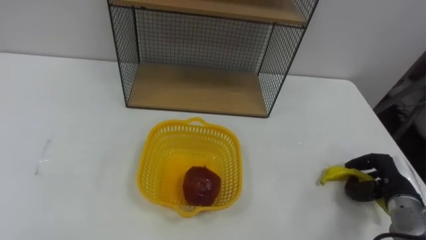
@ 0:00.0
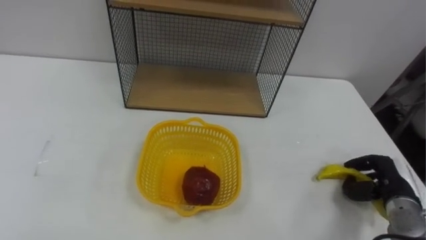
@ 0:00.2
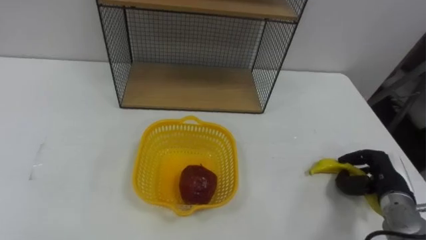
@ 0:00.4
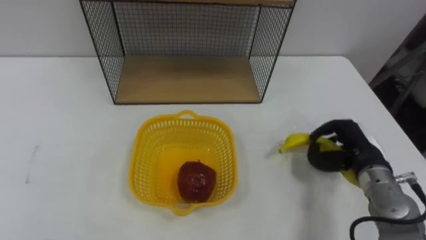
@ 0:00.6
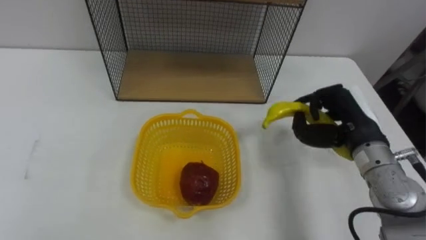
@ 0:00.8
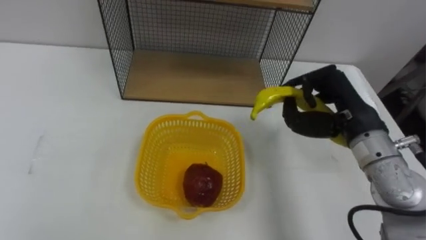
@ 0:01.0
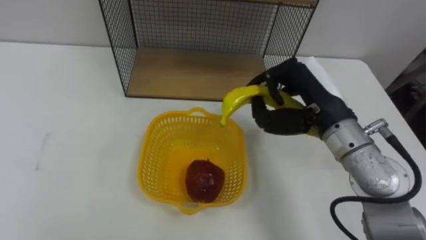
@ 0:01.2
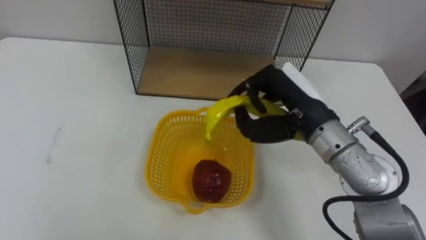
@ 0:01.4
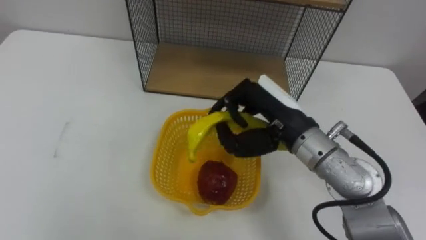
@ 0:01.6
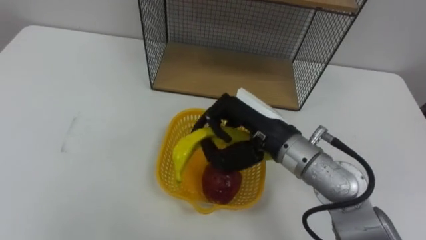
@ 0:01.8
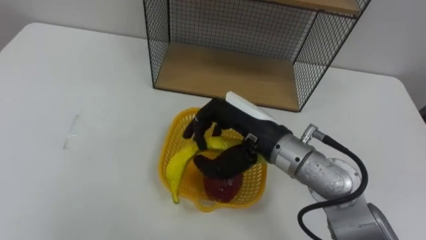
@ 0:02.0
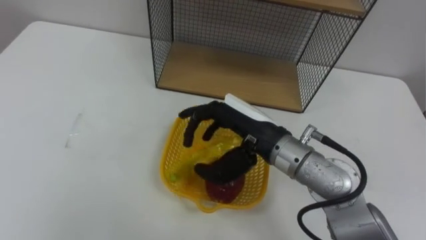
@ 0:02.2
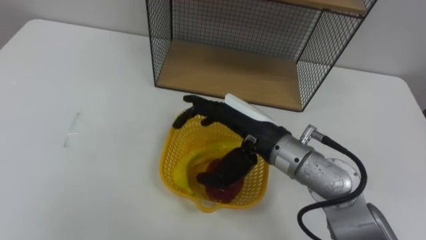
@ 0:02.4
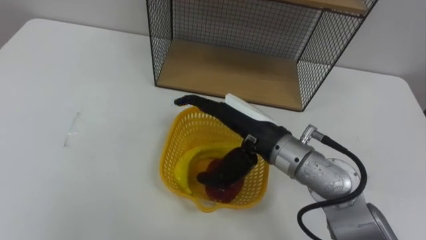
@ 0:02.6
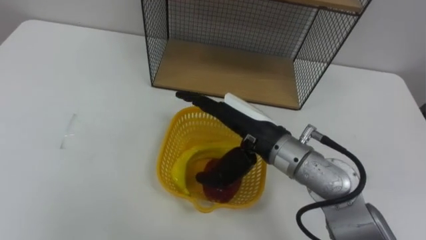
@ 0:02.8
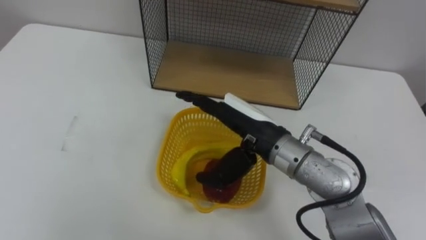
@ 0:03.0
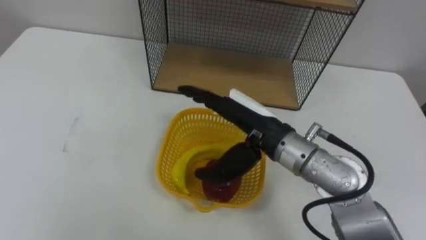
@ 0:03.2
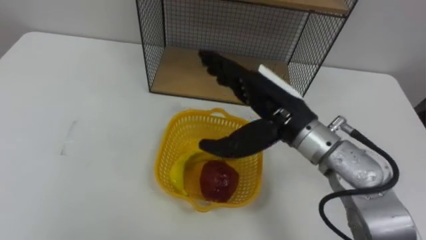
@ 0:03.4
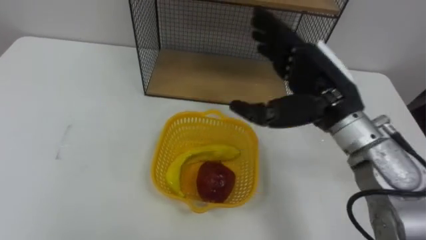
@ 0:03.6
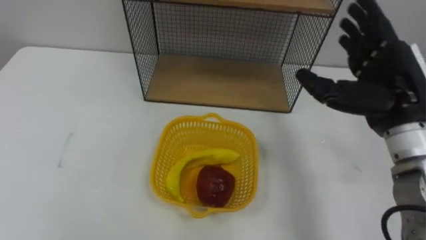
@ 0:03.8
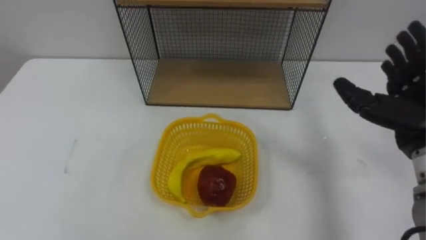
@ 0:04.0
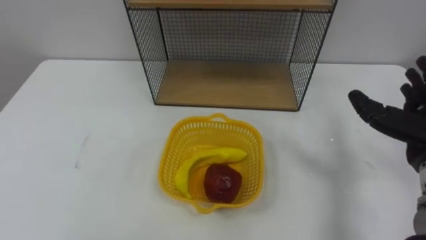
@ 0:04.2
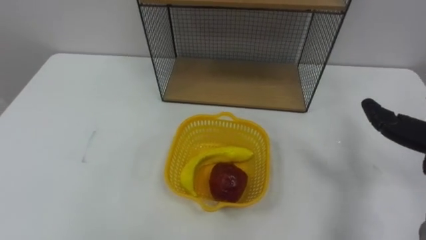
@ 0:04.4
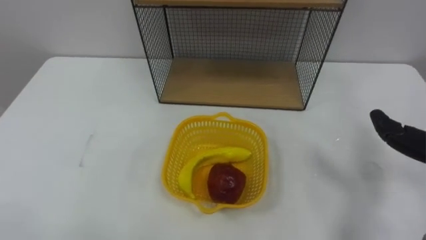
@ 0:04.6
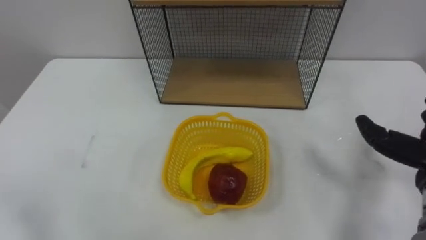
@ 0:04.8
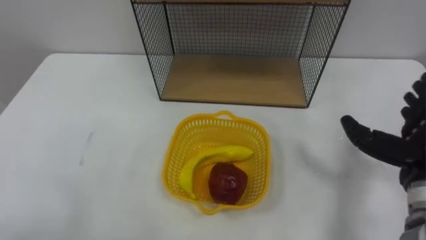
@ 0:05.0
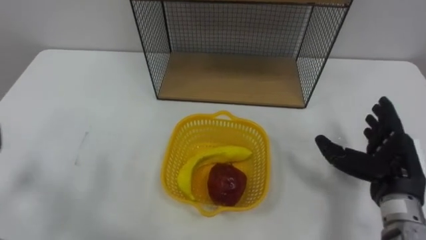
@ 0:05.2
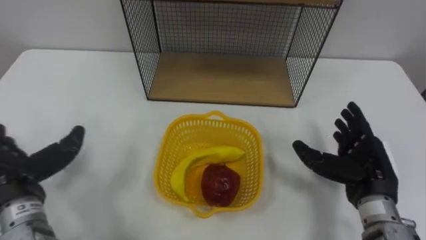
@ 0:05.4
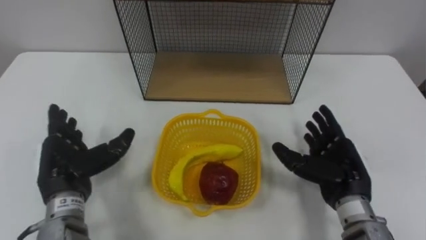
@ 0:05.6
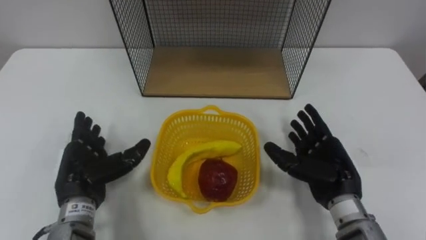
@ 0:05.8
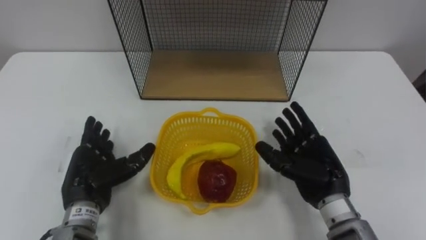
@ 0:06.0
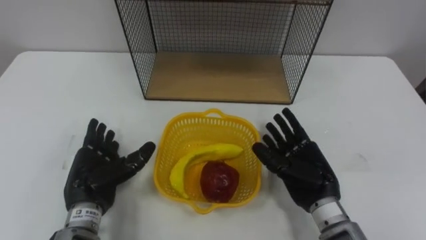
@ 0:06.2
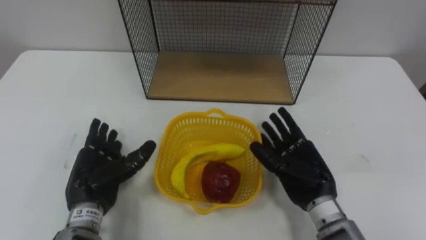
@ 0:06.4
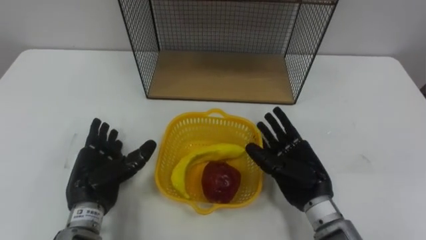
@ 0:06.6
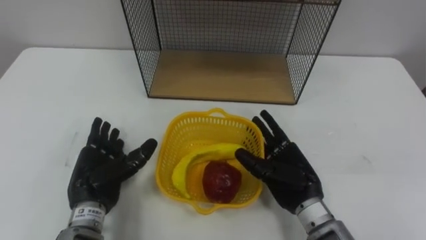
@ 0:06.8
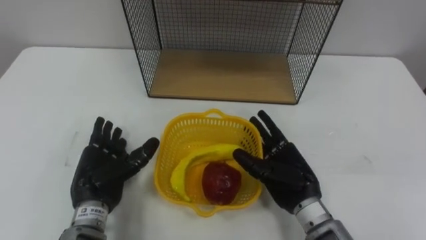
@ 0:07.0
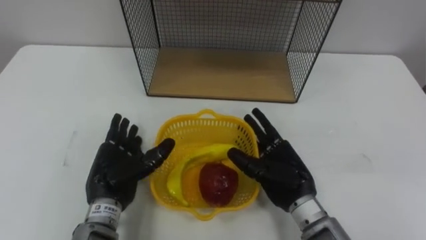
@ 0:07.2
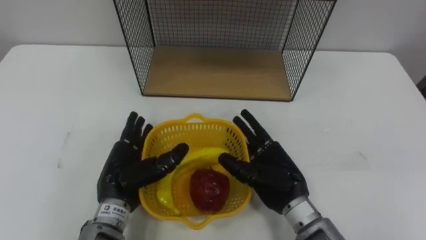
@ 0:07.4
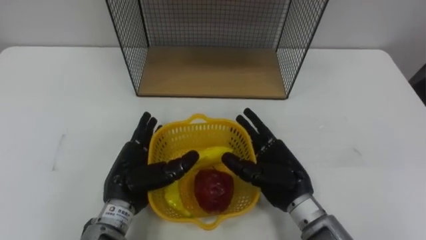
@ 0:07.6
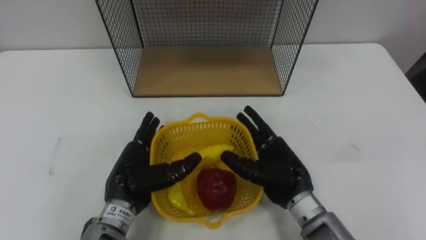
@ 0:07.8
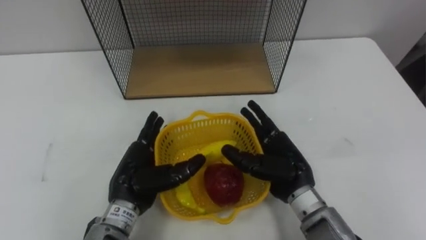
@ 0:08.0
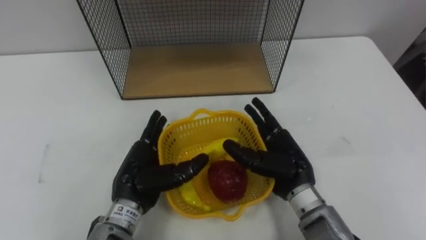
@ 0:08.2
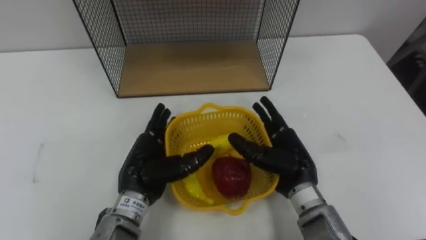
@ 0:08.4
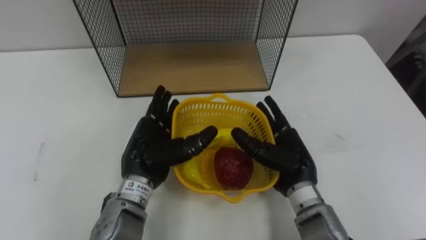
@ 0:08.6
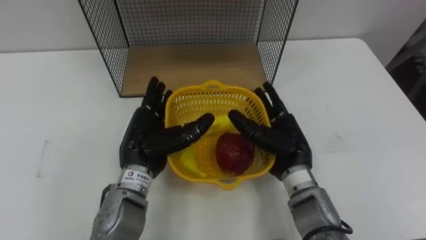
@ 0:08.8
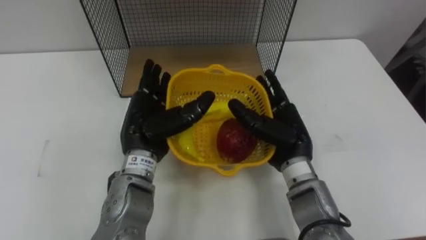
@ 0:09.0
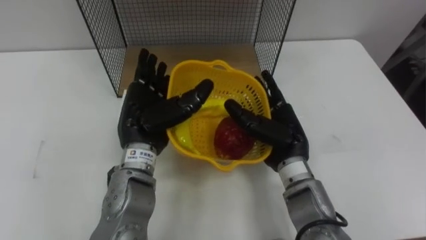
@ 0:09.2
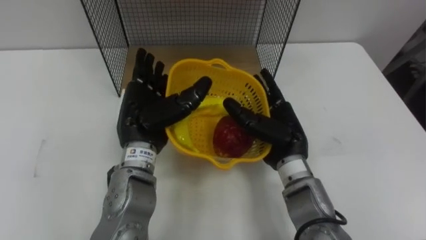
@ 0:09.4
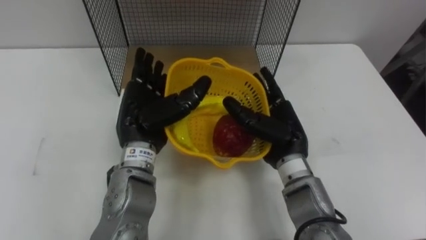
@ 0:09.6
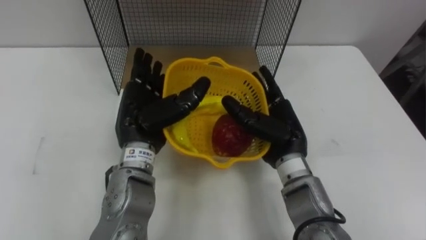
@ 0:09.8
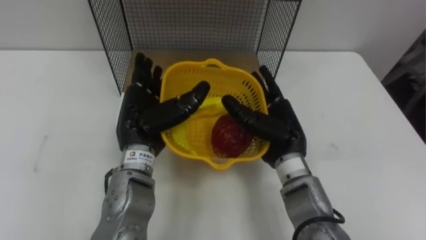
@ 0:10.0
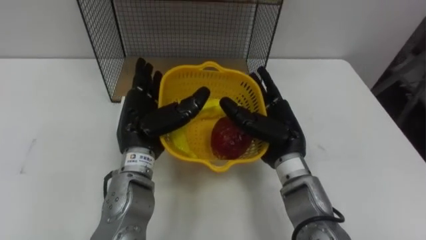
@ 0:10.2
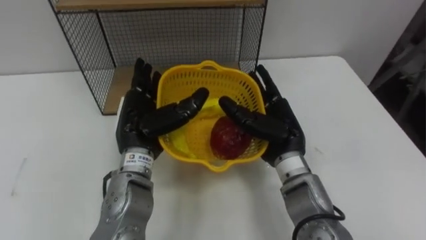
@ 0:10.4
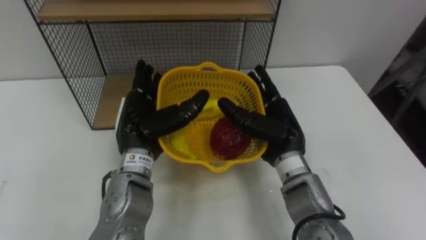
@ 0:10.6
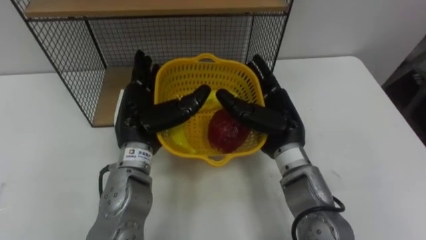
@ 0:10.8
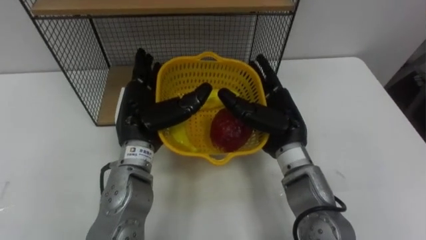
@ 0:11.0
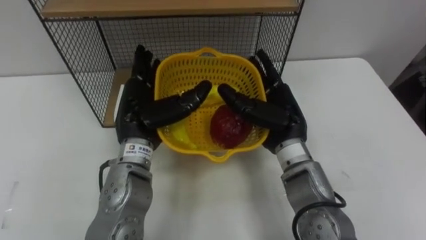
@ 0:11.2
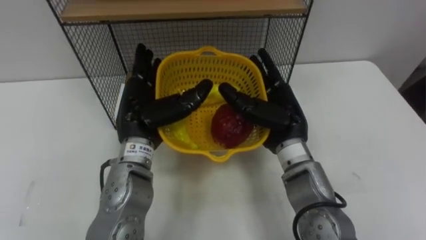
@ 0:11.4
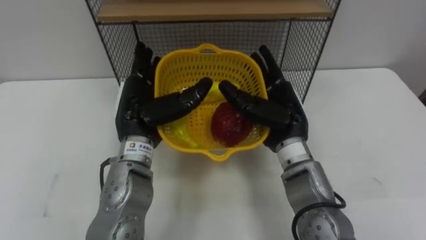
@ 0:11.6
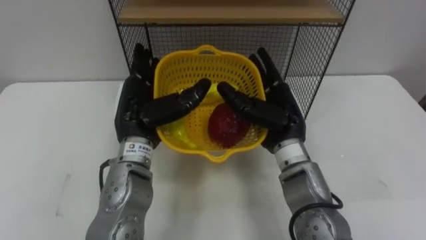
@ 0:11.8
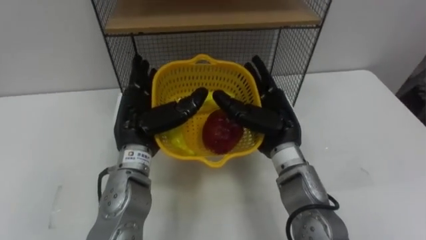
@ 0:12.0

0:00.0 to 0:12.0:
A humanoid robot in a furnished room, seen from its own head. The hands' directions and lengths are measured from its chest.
Task of the whole recording: Put the fruit on the table into the basket, then place the basket on the shelf.
0:00.0 to 0:01.6: The right hand moves to the left and upward, approximately 30 cm.
0:01.6 to 0:03.0: The right hand moves to the left, roughly 5 cm, and opens.
0:06.0 to 0:07.6: The right hand goes about 10 cm to the left. Meanwhile the left hand travels to the right by approximately 10 cm.
0:07.6 to 0:09.0: The left hand goes approximately 10 cm upward and forward. The right hand heads forward, covering about 5 cm.

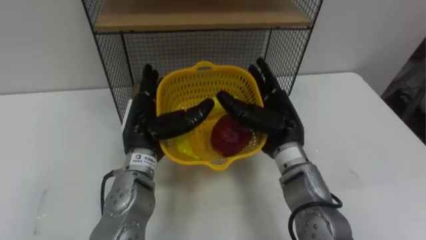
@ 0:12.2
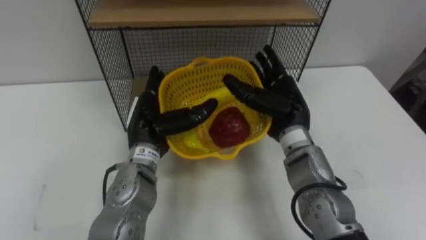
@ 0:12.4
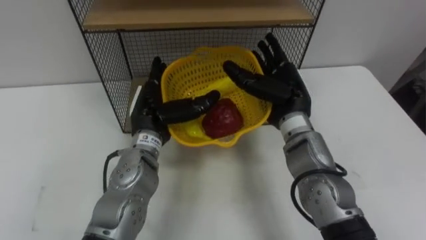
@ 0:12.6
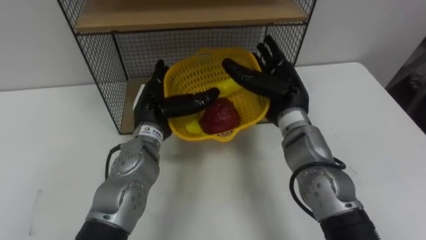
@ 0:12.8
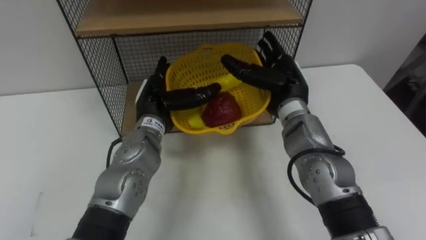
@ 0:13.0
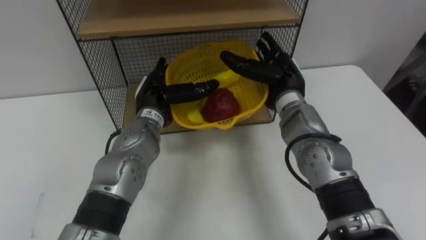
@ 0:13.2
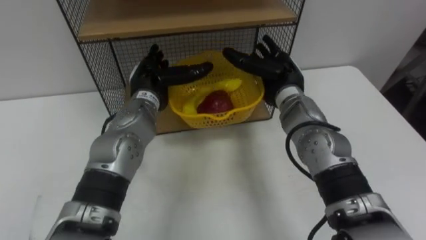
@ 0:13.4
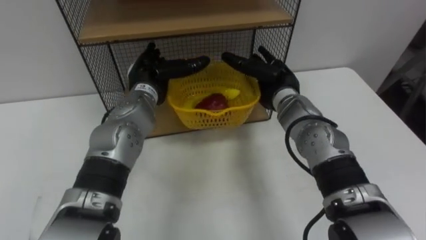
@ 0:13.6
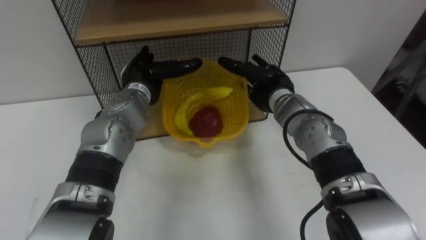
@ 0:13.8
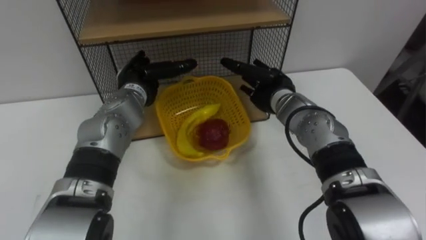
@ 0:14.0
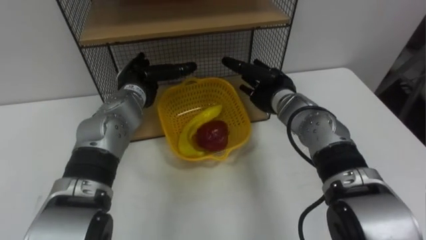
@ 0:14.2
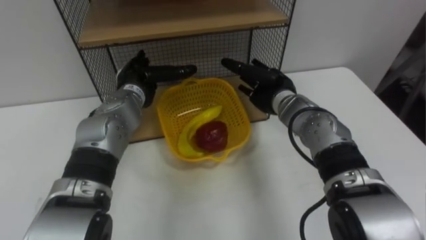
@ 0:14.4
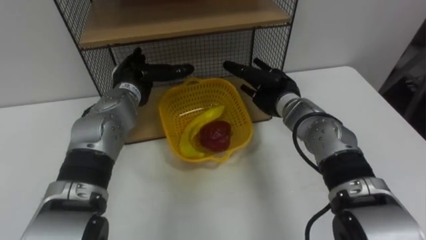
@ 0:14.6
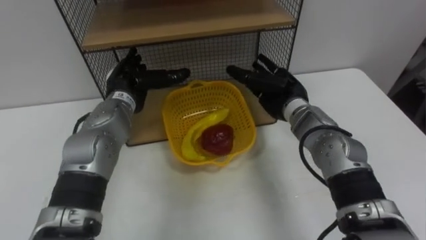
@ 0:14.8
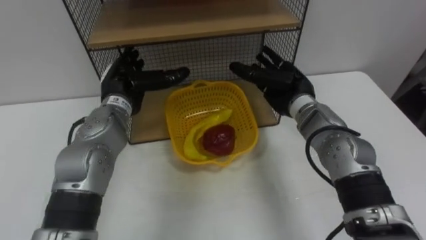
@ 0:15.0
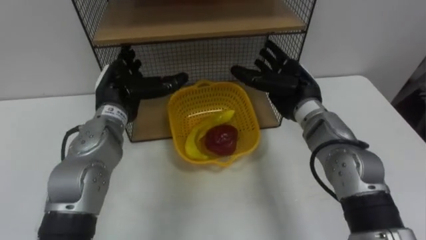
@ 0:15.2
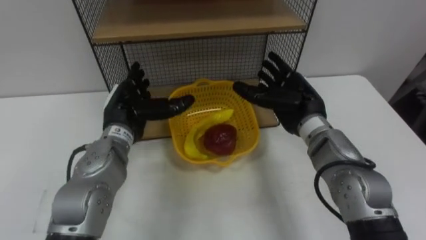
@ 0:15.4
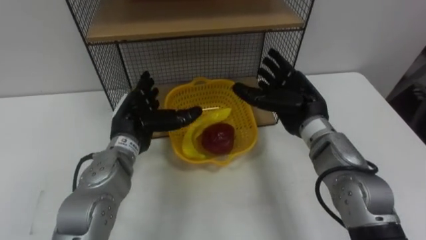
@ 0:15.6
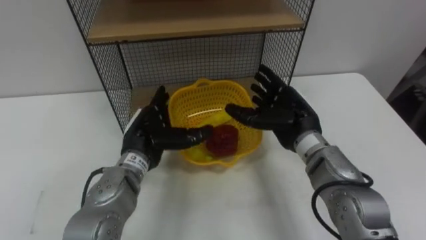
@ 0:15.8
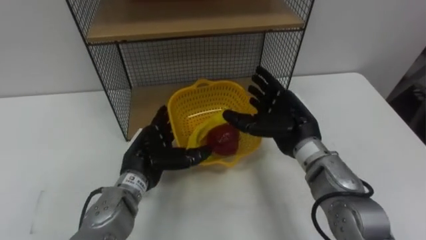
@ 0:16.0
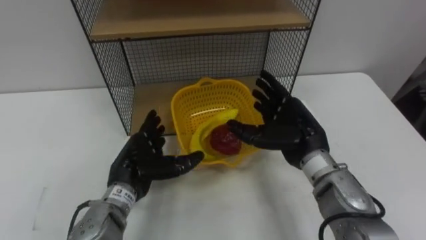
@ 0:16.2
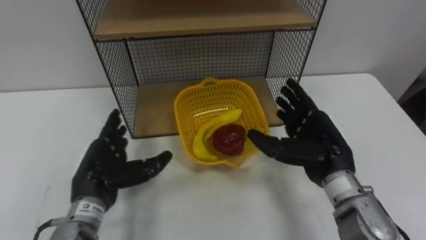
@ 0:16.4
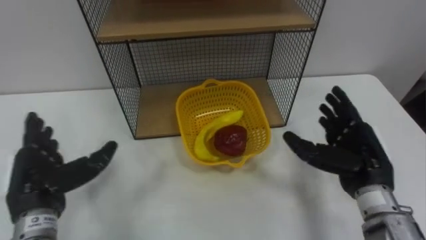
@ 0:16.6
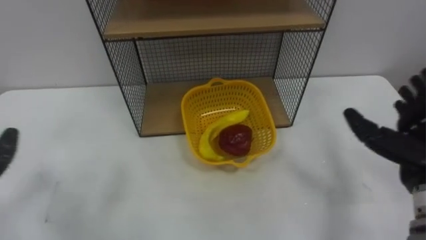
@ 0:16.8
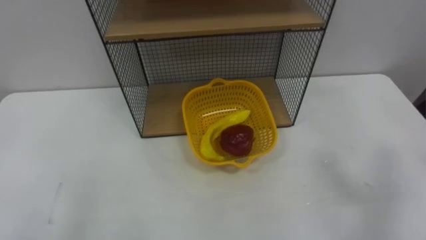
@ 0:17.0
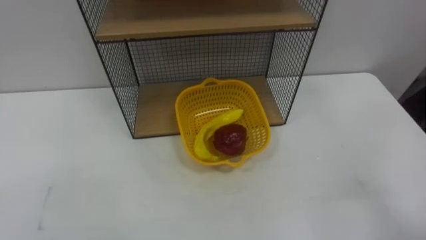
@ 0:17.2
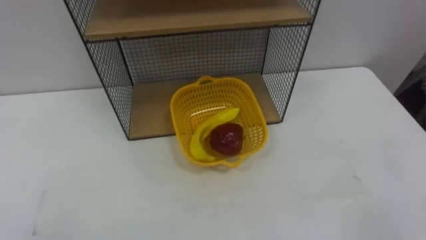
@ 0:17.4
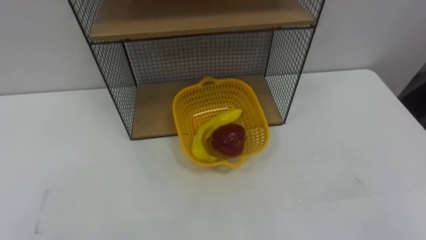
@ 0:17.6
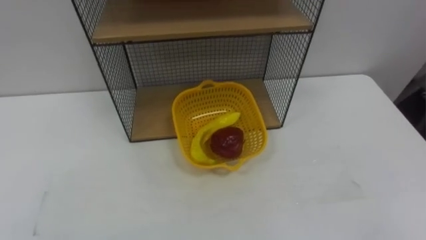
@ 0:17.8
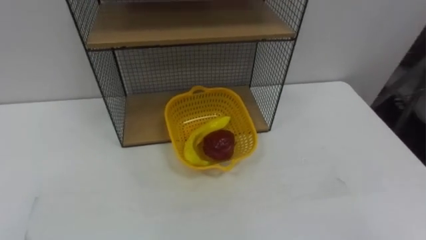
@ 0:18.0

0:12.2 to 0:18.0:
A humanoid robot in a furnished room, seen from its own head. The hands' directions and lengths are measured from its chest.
Task of the whole recording: Put the fruit on the table into the basket, then place the basket on the shelf.
0:12.2 to 0:13.6: The two hands go approximately 10 cm forward.
0:13.6 to 0:15.0: The left hand moves about 5 cm.
0:15.0 to 0:16.6: The left hand shifts some 20 cm backward and to the left. Meanwhile the right hand shifts some 15 cm backward and to the right.
